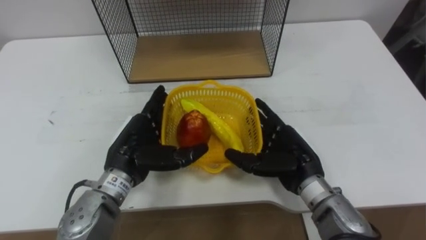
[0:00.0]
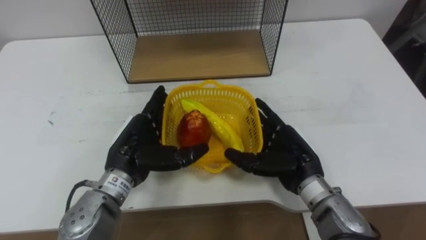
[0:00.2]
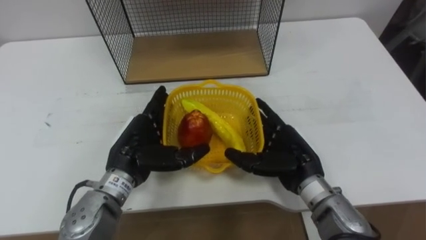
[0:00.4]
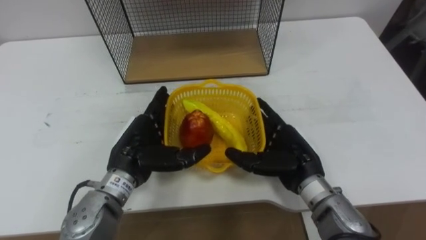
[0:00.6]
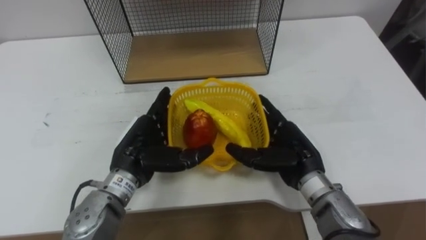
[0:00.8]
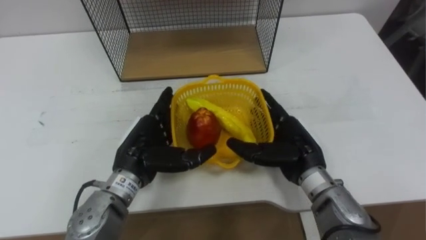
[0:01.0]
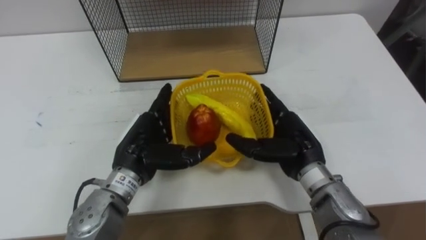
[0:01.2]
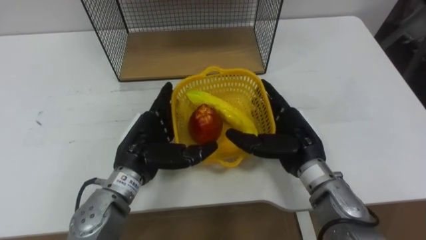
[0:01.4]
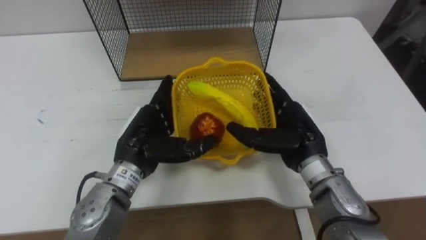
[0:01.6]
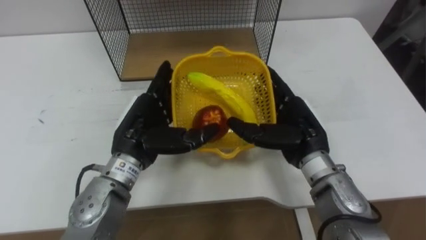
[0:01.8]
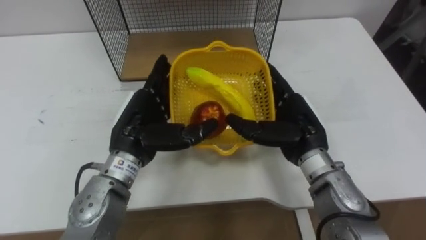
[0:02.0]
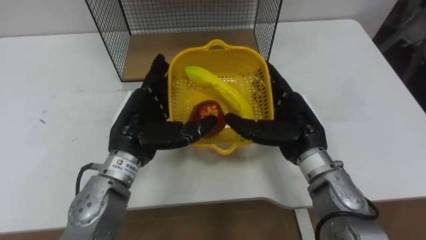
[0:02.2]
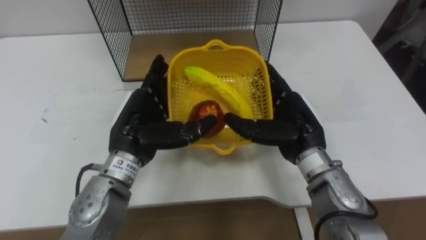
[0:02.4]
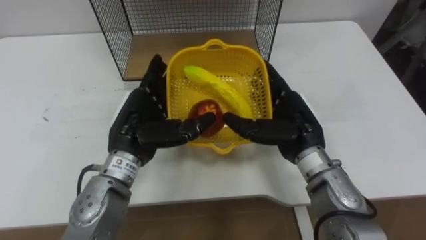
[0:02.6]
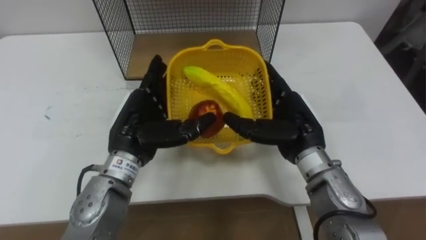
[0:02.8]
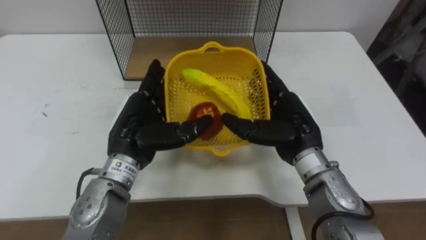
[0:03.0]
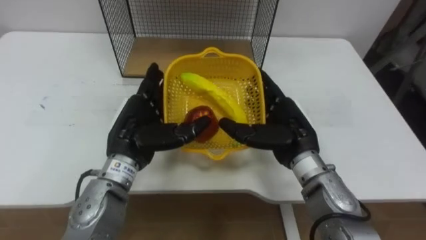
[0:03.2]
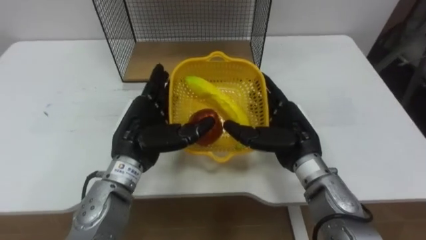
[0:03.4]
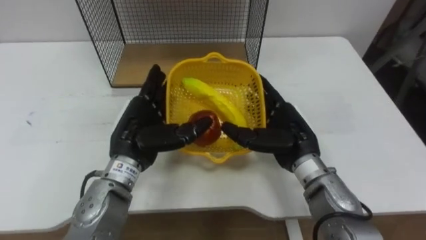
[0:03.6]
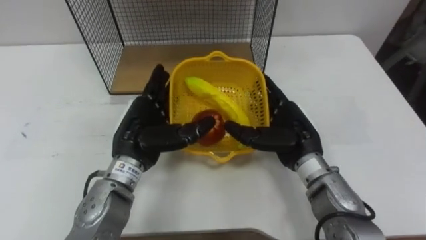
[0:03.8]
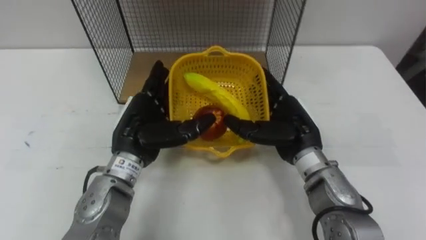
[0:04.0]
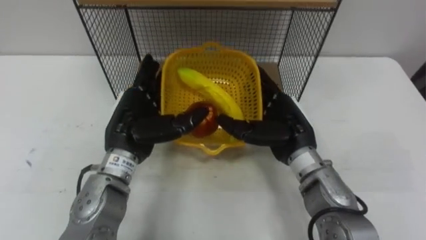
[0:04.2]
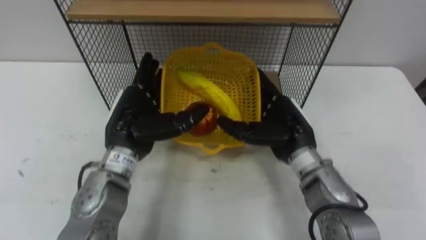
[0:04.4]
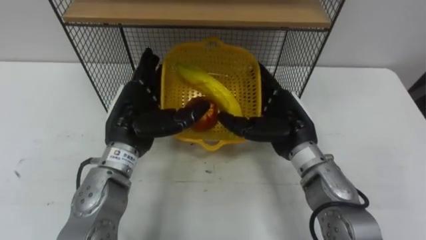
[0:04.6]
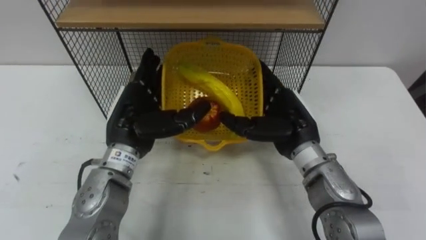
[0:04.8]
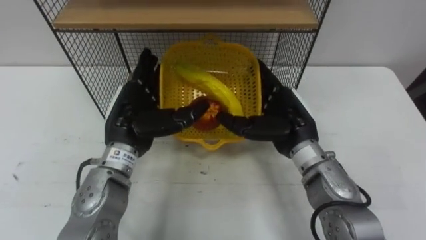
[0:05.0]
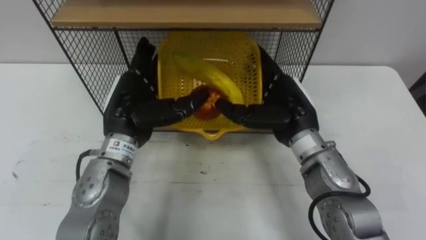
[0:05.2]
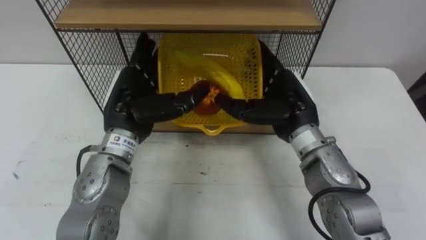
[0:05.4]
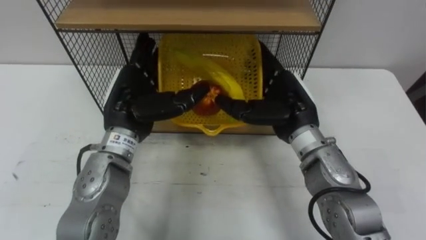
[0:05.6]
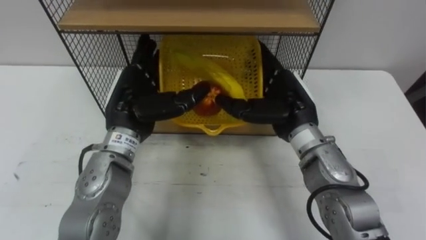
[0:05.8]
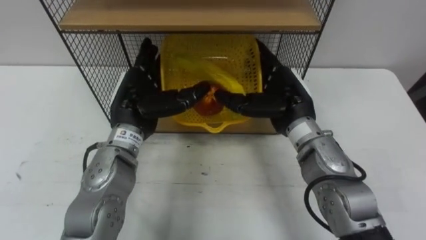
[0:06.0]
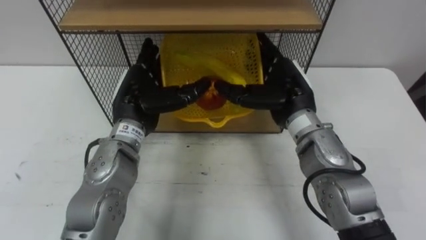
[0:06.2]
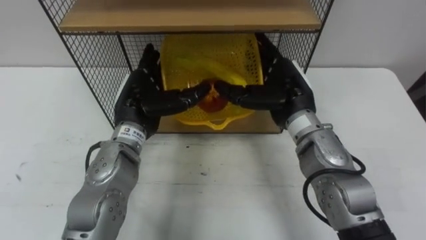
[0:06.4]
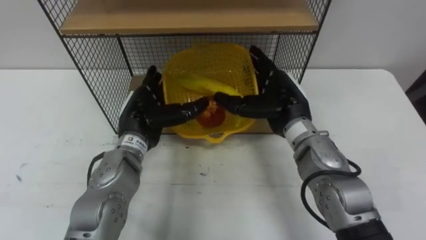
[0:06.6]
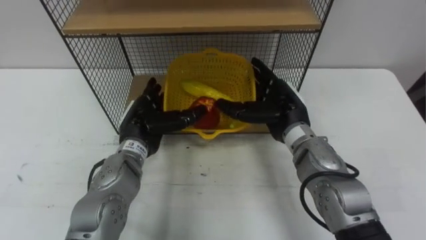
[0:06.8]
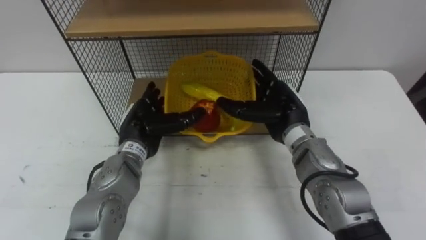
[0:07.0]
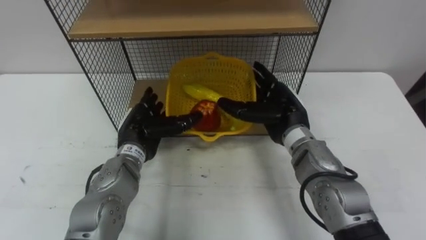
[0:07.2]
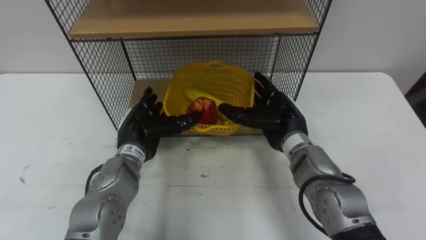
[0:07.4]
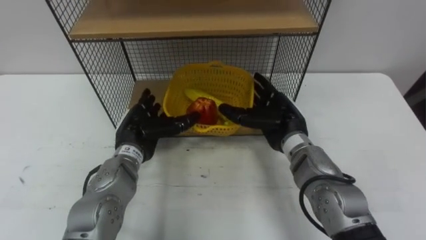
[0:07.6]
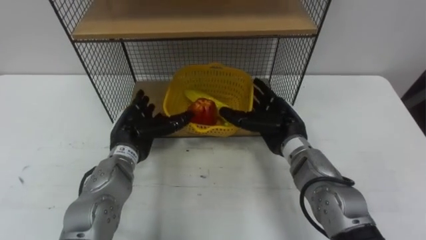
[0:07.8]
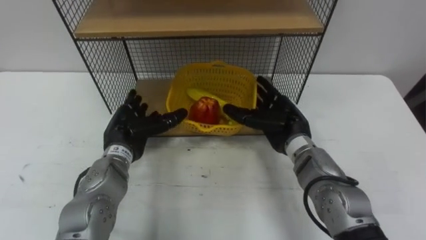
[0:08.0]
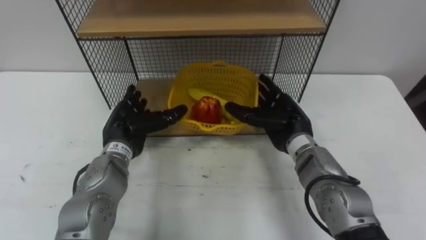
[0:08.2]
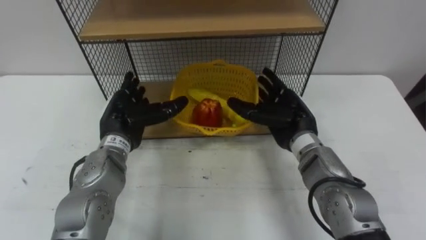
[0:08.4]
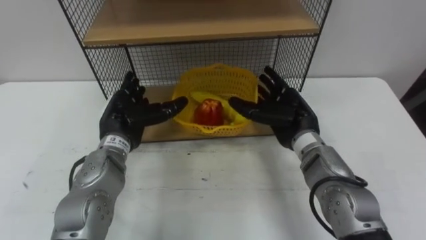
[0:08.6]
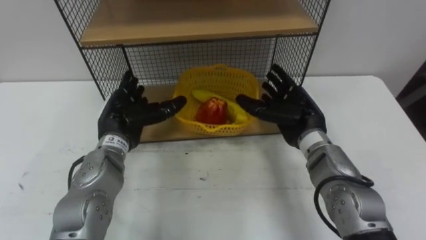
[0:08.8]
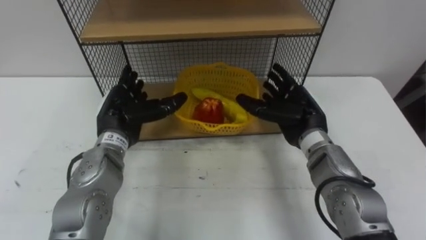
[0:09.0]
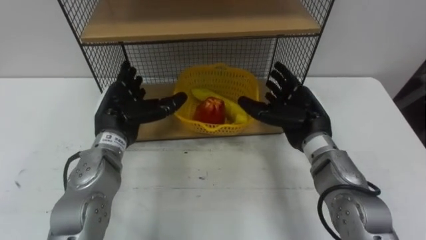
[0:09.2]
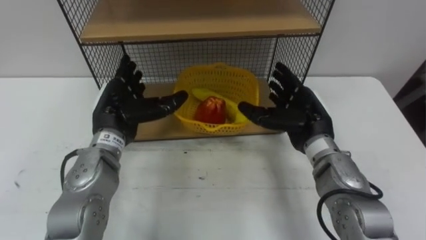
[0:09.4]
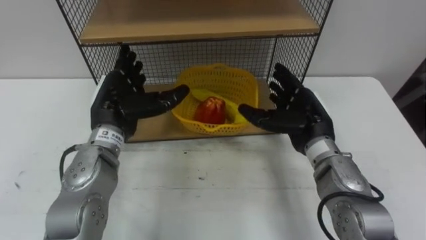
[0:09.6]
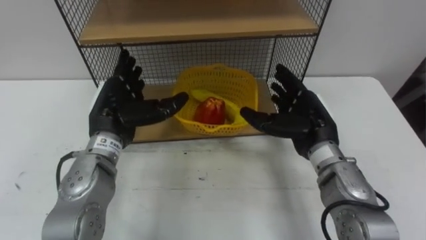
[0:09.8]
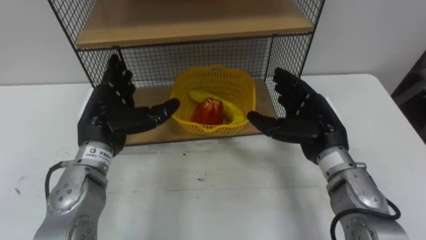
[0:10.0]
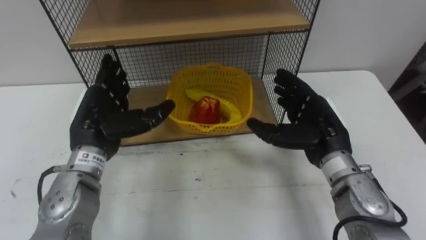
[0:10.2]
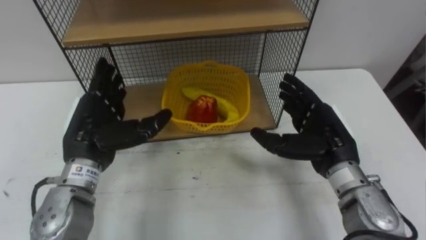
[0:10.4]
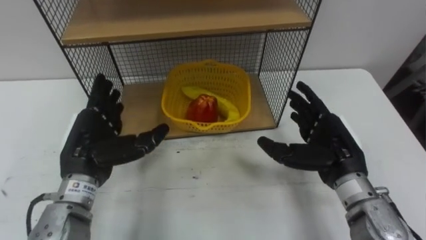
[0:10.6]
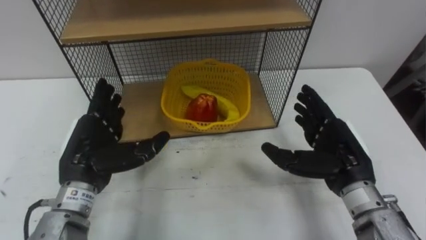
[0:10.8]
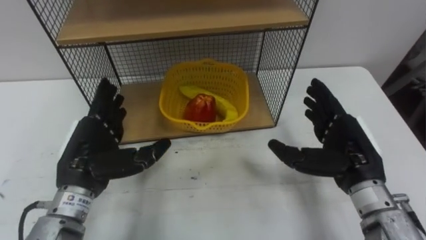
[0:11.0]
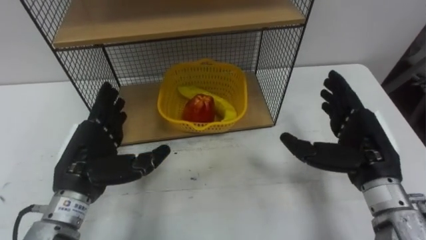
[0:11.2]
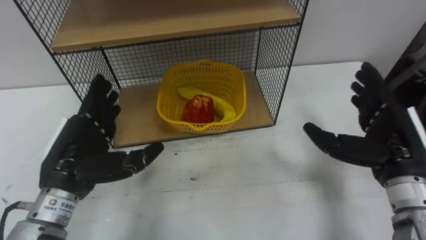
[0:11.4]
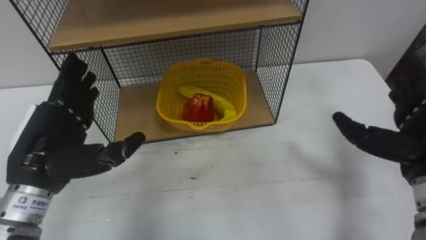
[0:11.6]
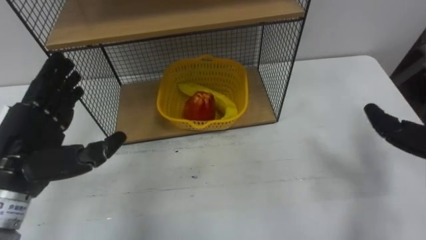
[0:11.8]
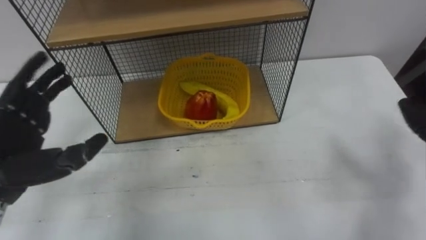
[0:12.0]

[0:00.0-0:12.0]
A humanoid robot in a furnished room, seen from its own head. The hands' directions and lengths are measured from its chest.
Task of the whole recording: Put the fruit on the table into the basket, then place the basket on the shelf.
0:06.0 to 0:07.6: Both hands travel together downward, about 5 cm.
0:09.0 to 0:10.4: The hands both shift backward by roughly 5 cm.
0:10.4 to 0:12.0: The left hand heads to the left and backward, covering some 10 cm.

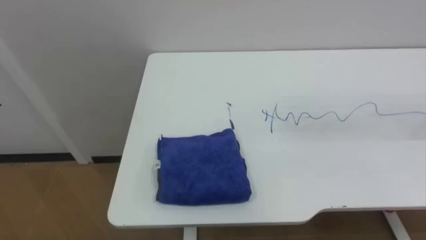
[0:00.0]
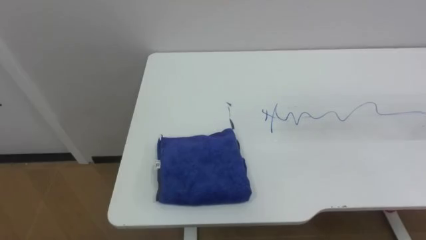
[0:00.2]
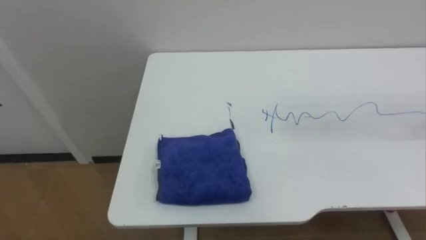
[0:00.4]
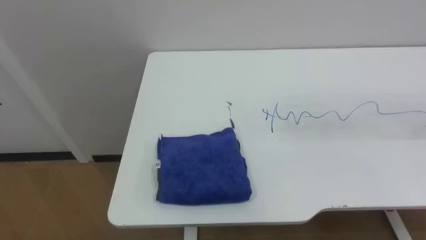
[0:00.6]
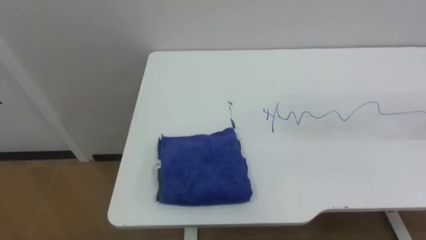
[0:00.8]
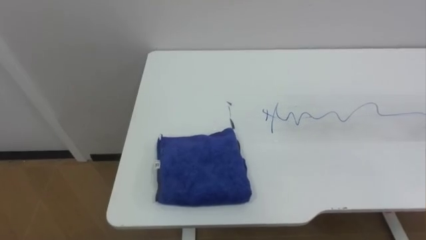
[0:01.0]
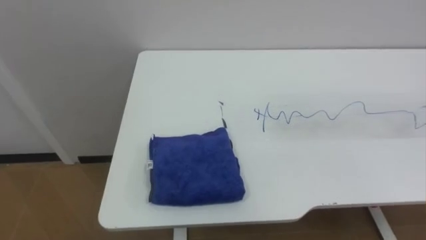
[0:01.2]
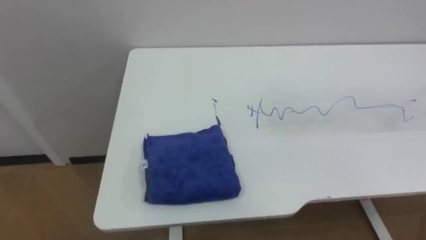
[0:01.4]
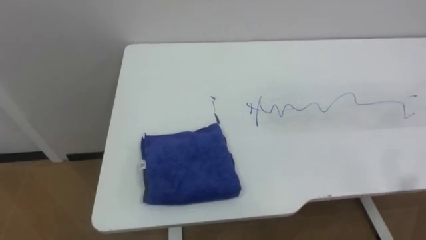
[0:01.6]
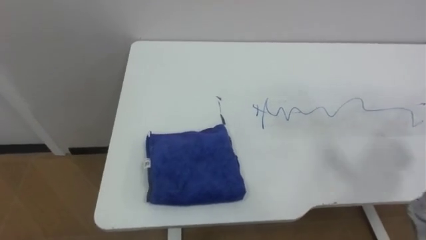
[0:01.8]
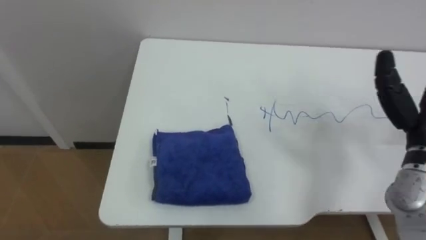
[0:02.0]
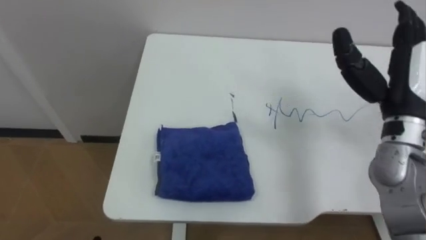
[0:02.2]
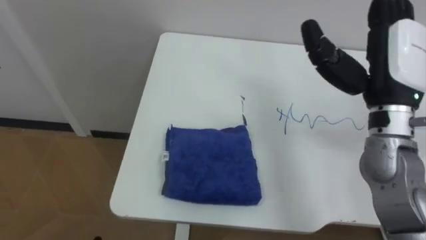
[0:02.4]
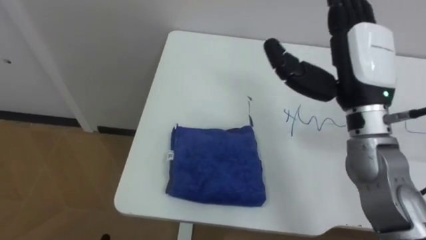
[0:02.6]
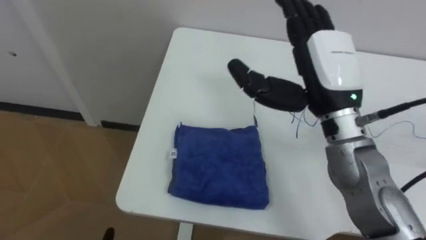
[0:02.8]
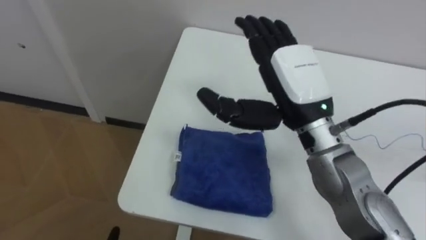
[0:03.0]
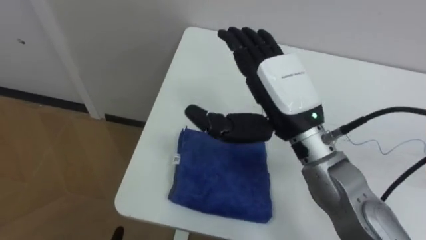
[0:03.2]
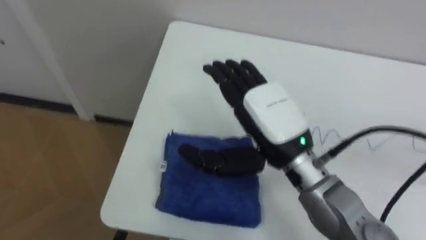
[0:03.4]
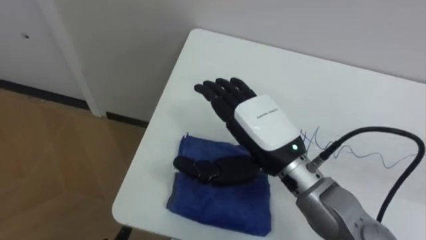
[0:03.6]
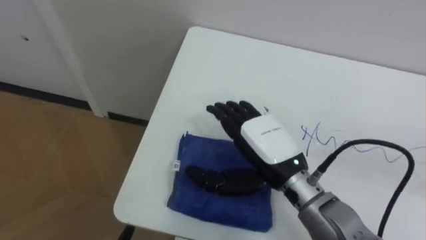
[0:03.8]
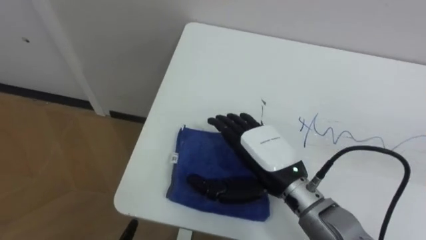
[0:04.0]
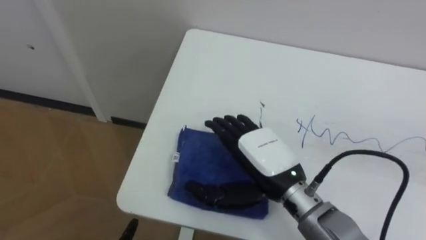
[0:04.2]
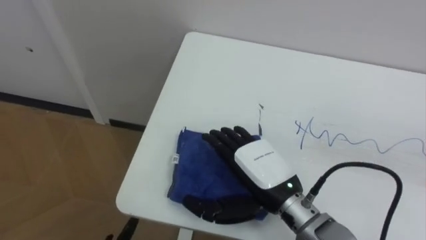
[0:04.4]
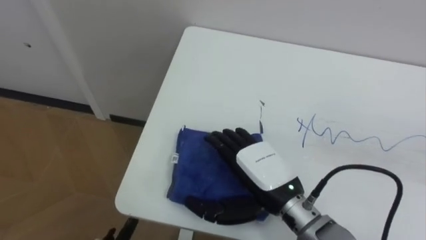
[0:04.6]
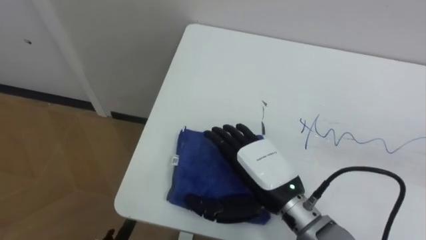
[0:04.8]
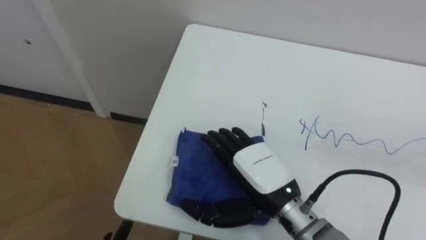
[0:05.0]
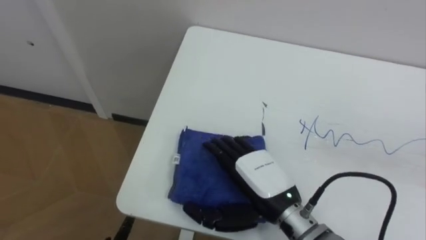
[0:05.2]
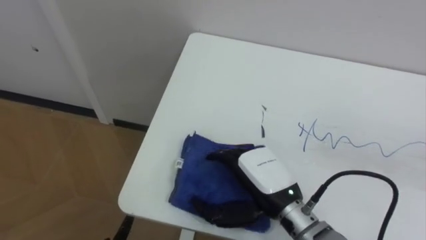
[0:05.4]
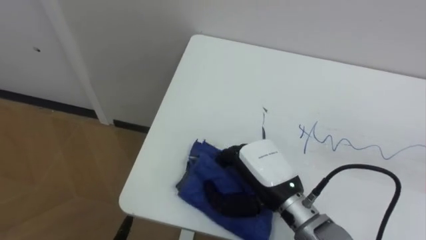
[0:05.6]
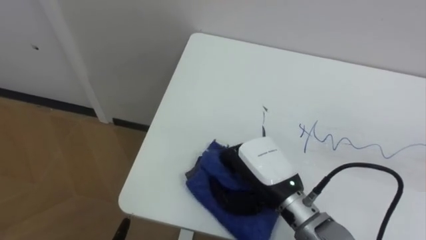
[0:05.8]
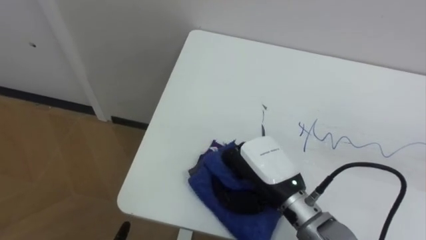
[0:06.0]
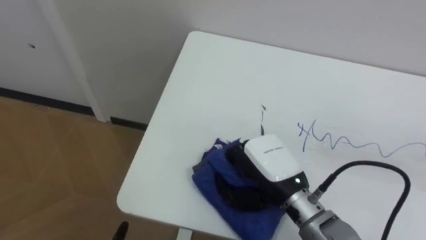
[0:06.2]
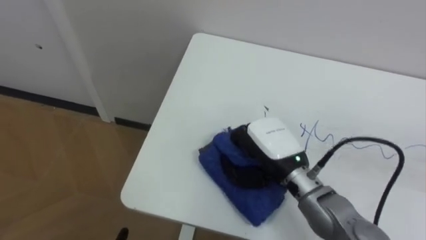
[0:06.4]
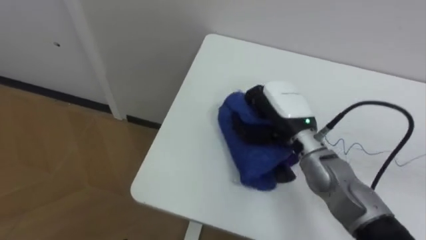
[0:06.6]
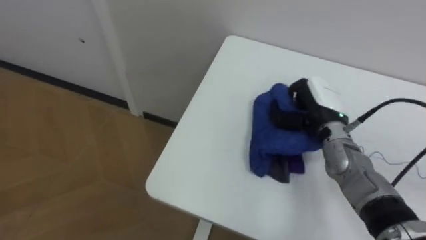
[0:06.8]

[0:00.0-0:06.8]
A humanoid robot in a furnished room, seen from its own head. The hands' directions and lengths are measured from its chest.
Task of the whole recording: Wipe the blue pen marks off the table with the rag.
0:02.8 to 0:04.0: The right hand heads downward, to the left and backward, covering roughly 15 cm.
0:05.4 to 0:06.8: The right hand is displaced forward and to the right by approximately 20 cm, and closes its fingers.
